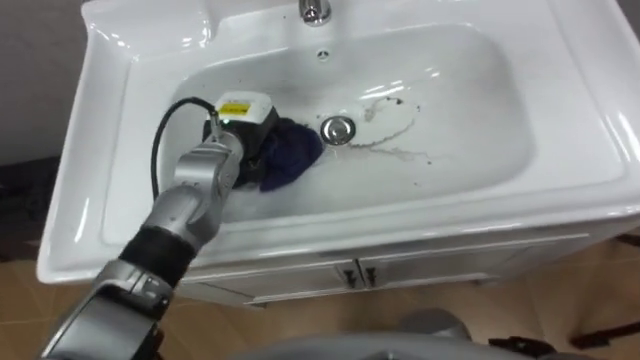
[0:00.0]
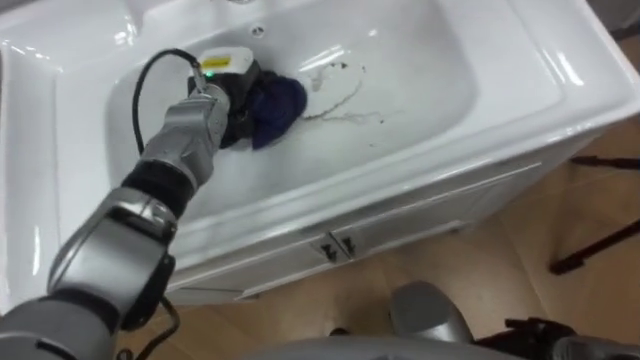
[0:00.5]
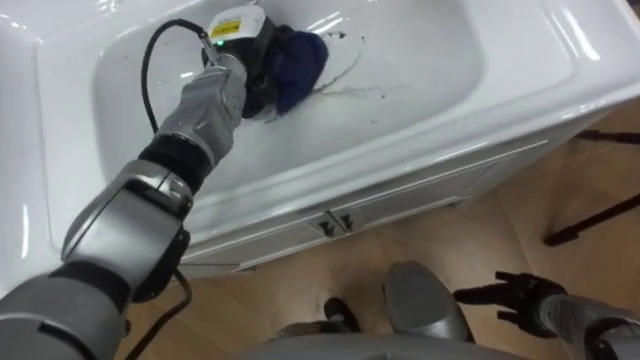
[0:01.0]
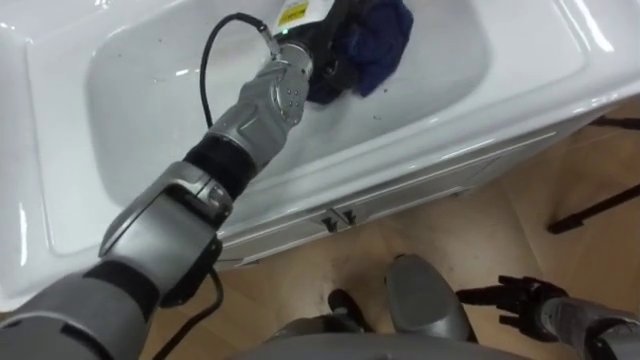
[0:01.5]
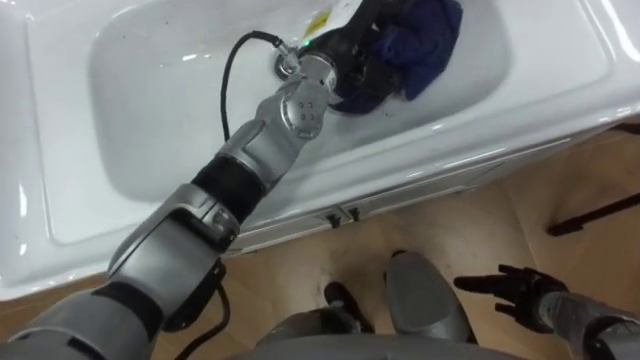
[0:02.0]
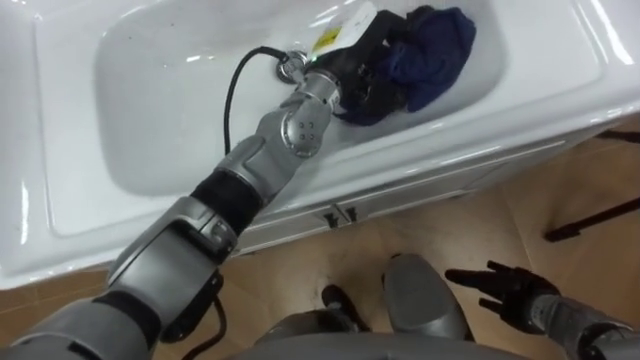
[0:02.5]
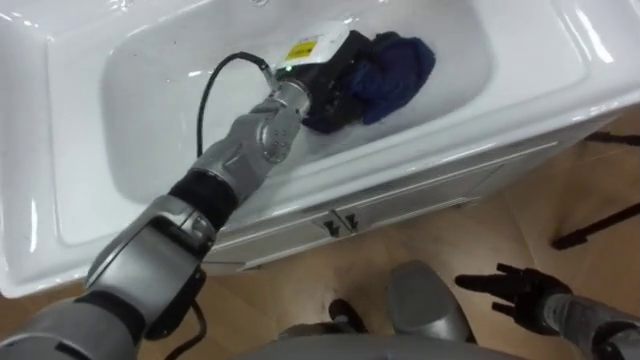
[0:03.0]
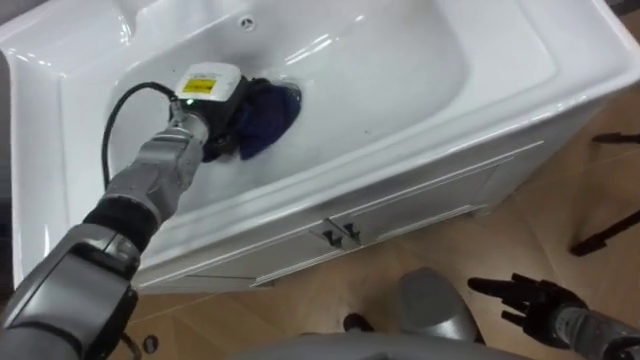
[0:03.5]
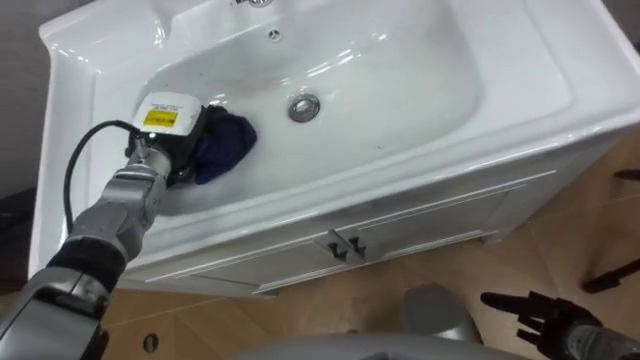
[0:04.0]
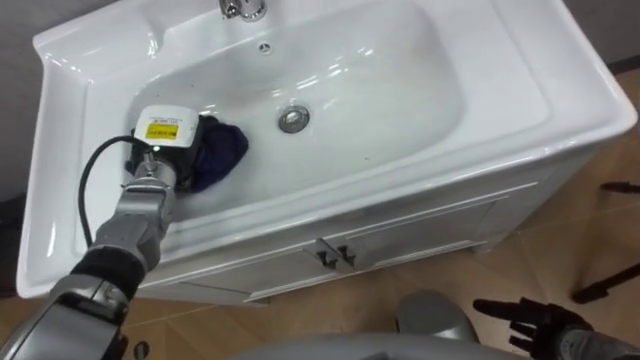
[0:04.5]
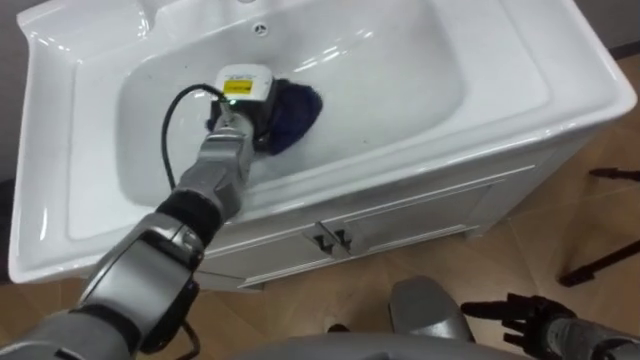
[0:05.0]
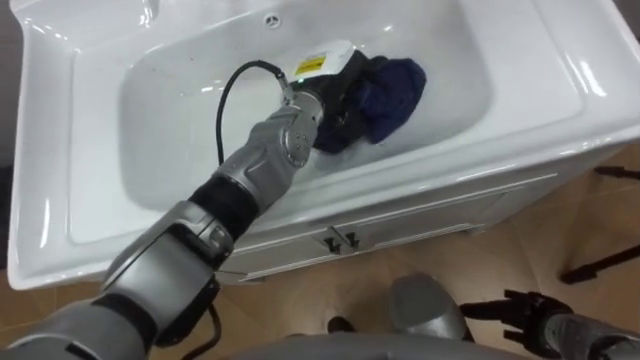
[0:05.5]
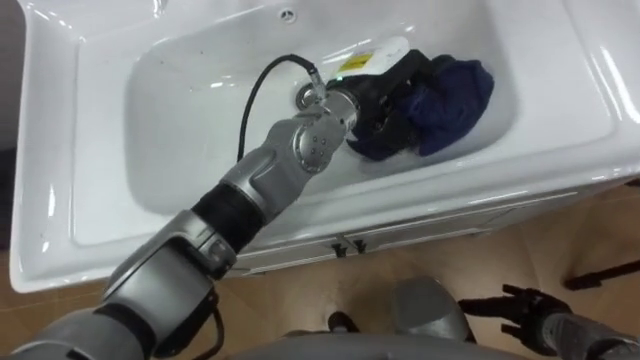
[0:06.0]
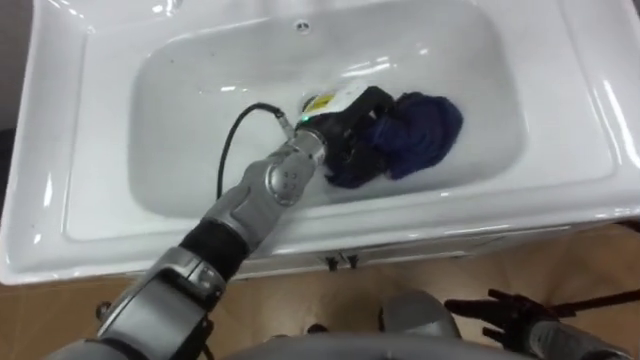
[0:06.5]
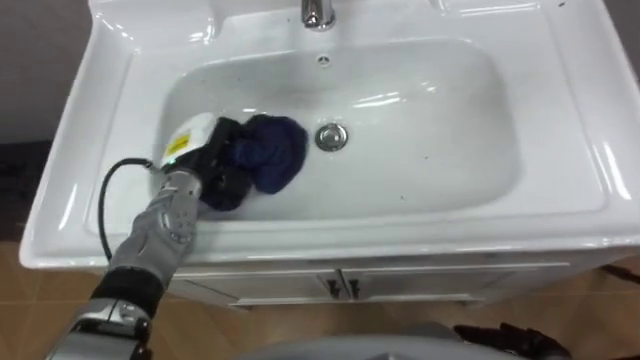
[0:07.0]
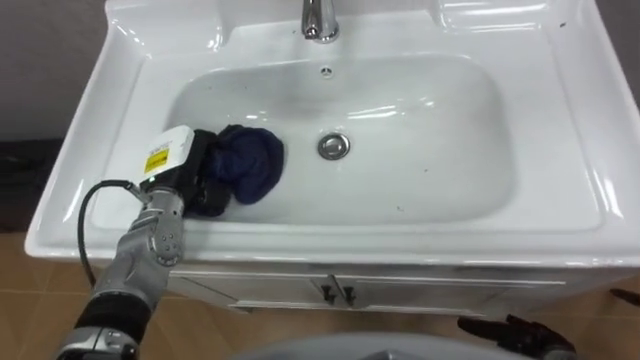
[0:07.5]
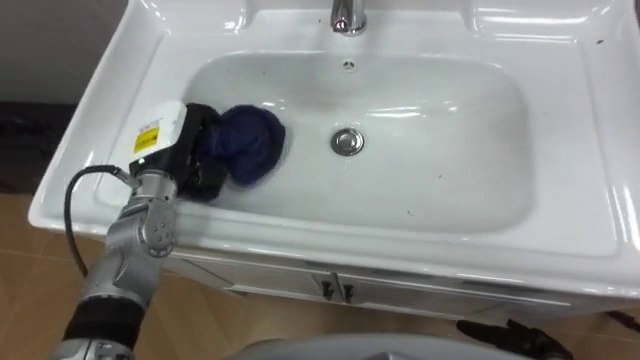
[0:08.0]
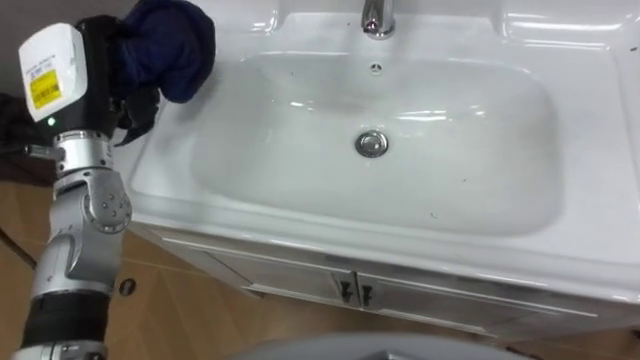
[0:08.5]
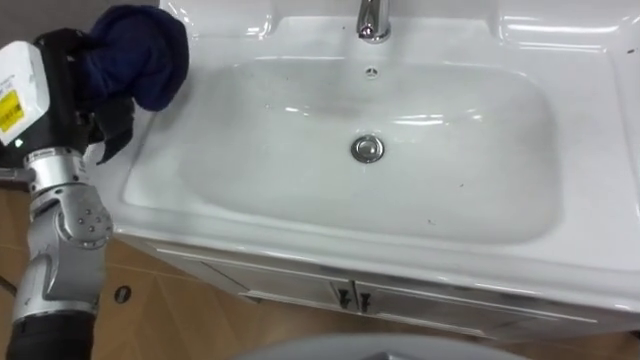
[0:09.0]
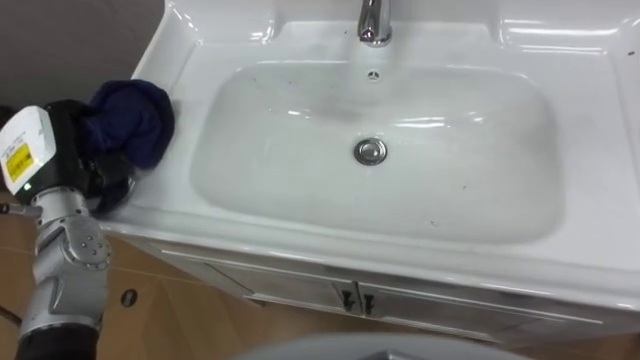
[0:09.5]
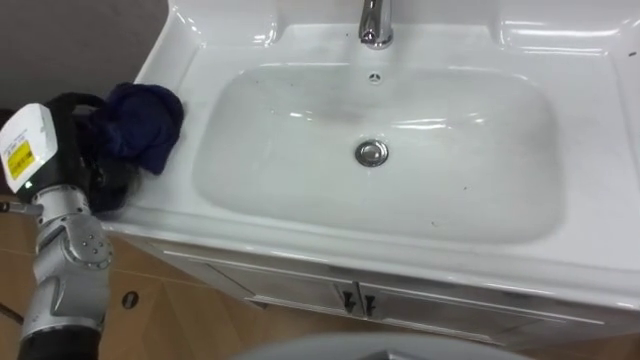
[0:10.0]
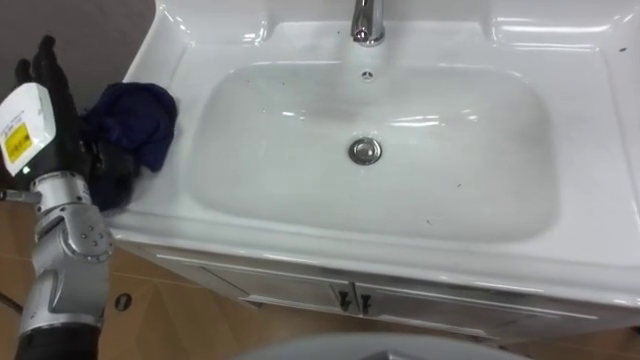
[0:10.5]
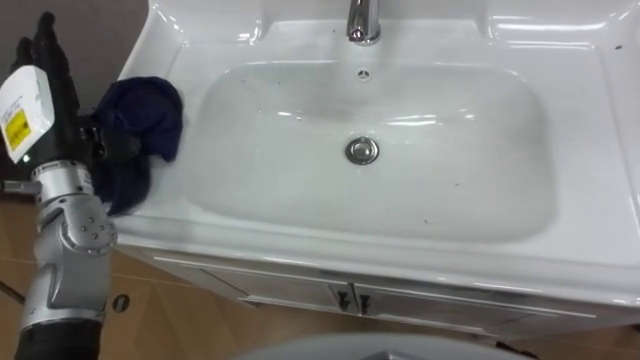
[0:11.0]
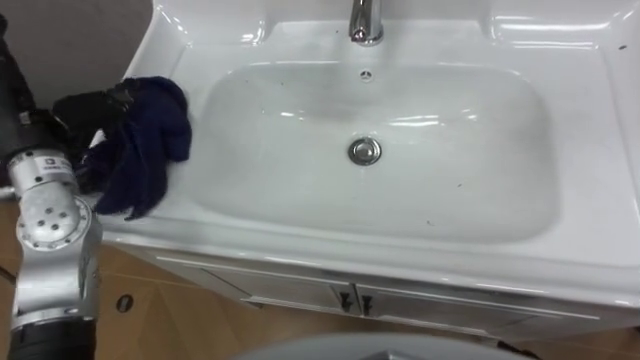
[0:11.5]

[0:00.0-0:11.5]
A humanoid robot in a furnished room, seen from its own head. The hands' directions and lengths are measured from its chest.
Task of the whole recording: Use the cloth on the right to wipe away the black stain in the sink.
0:00.0 to 0:02.0: The left hand shifts about 20 cm to the right and upward.
0:02.0 to 0:04.0: The left hand travels to the left and downward by some 25 cm.
0:04.0 to 0:06.0: The left hand shifts roughly 30 cm to the right.
0:06.0 to 0:07.5: The left hand heads to the left and downward, covering some 30 cm.
0:07.5 to 0:09.5: The left hand travels to the left and upward by some 15 cm.
0:09.5 to 0:11.5: The left hand goes approximately 5 cm upward, and opens.

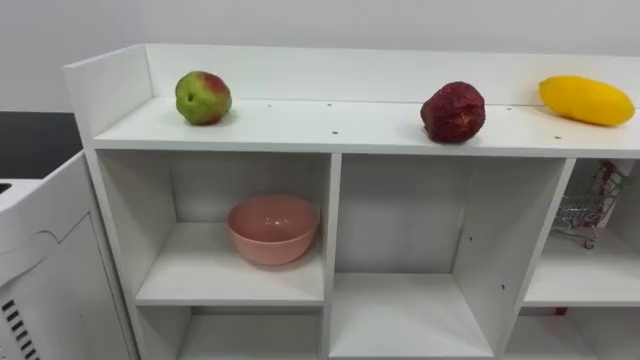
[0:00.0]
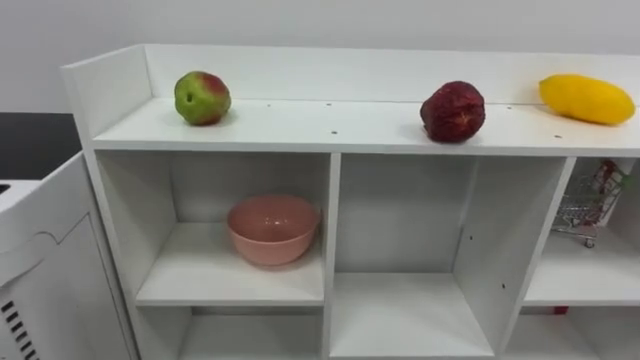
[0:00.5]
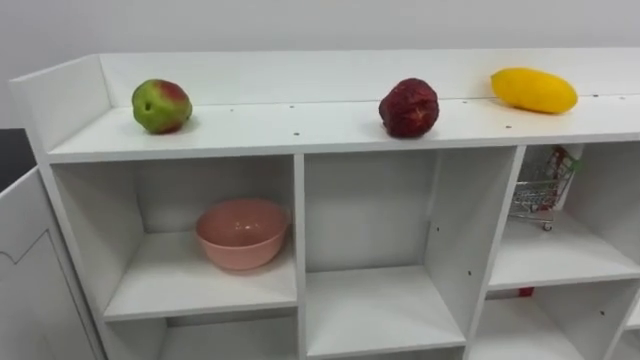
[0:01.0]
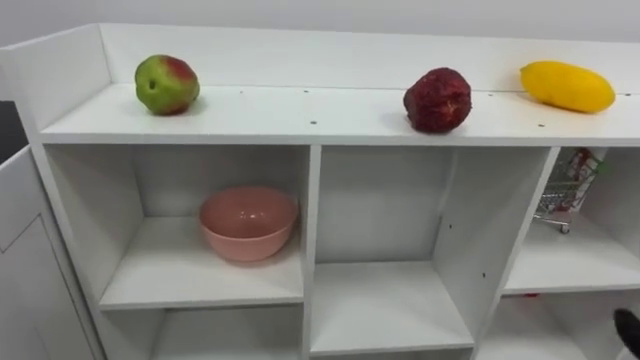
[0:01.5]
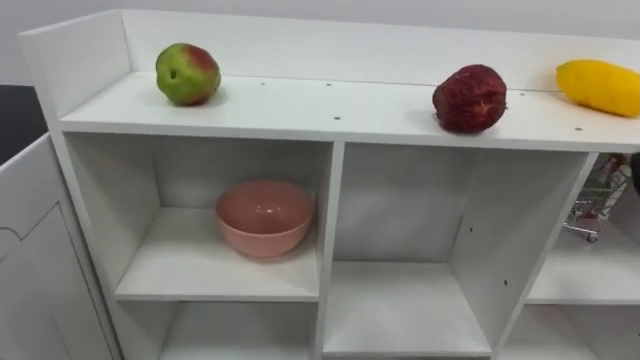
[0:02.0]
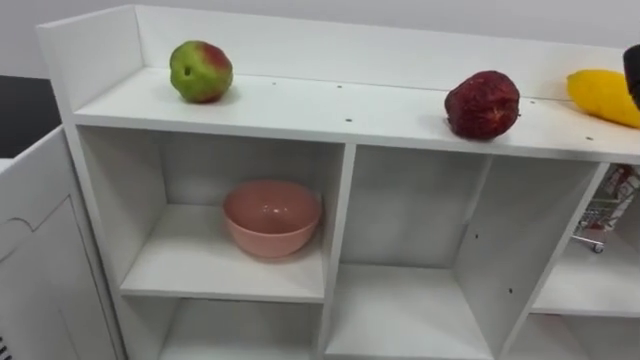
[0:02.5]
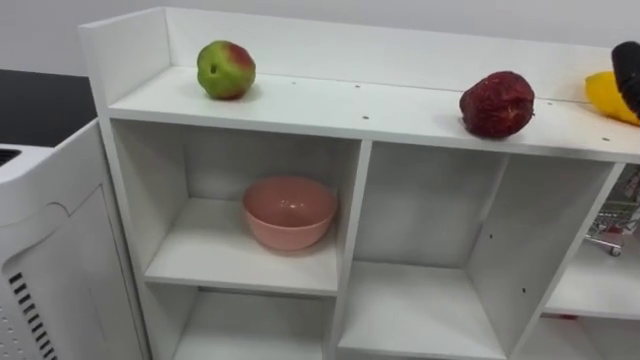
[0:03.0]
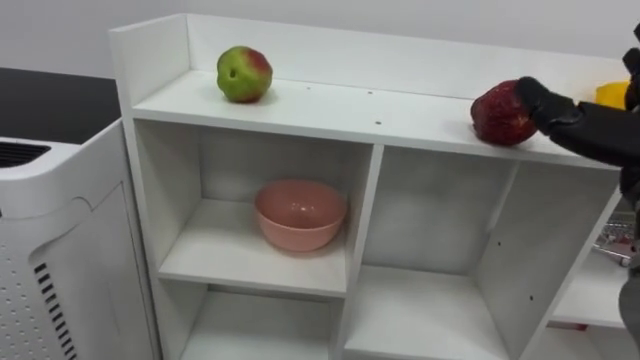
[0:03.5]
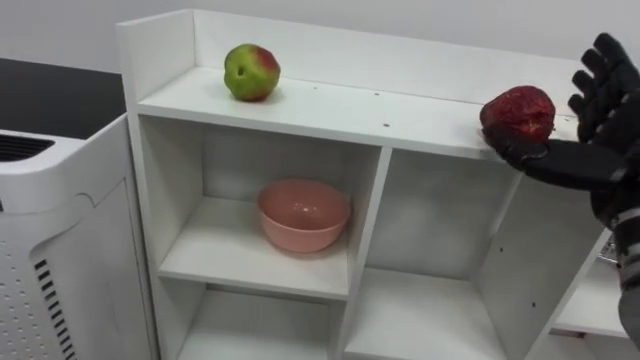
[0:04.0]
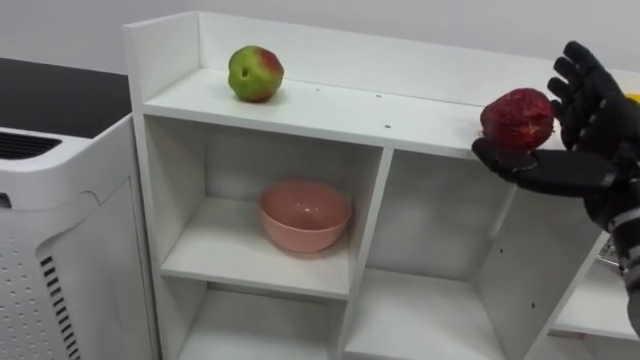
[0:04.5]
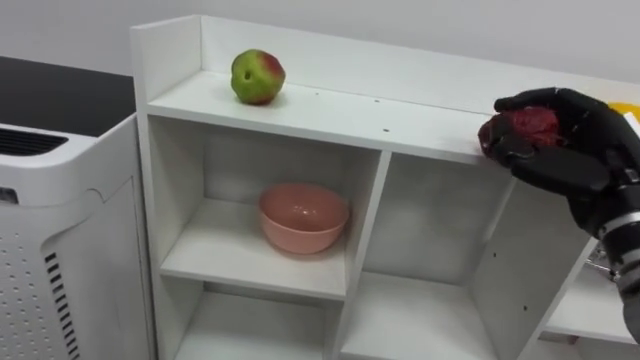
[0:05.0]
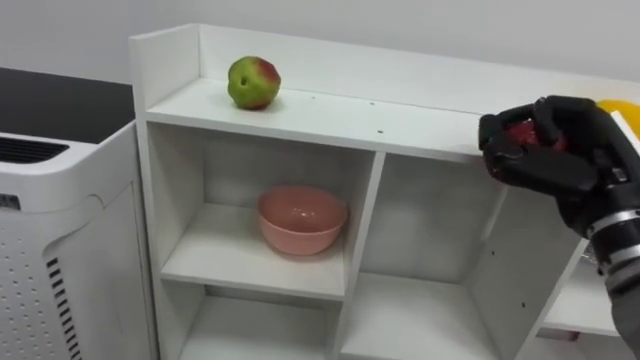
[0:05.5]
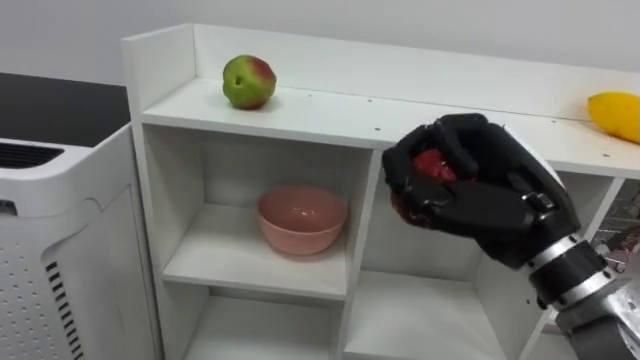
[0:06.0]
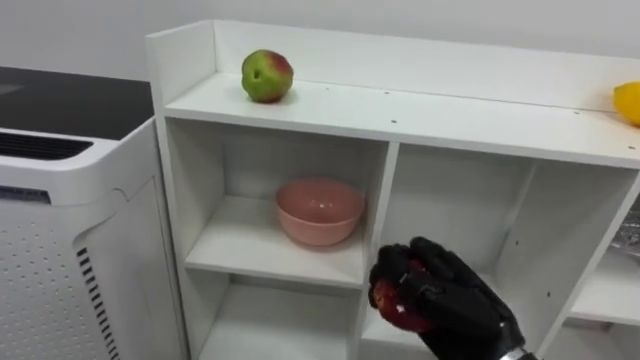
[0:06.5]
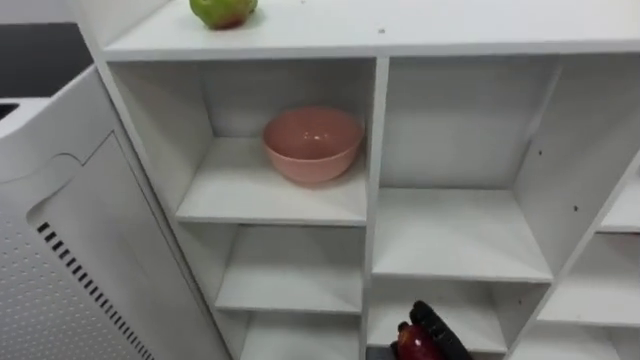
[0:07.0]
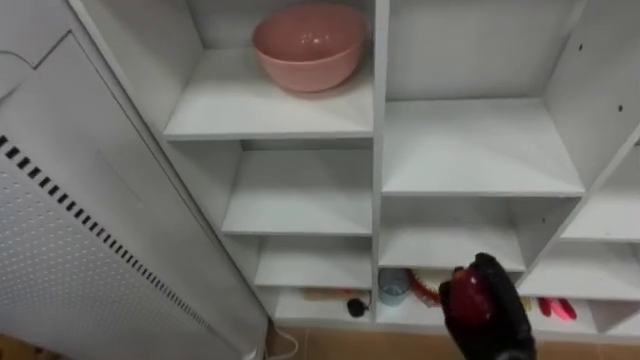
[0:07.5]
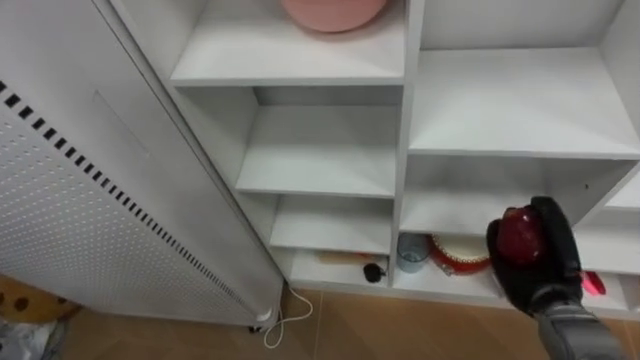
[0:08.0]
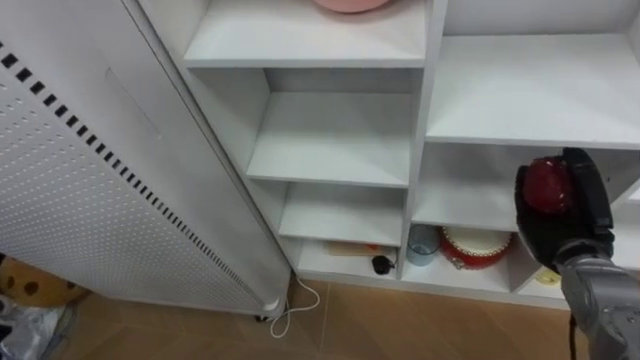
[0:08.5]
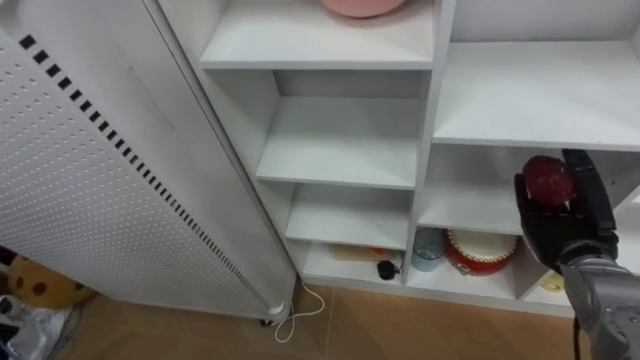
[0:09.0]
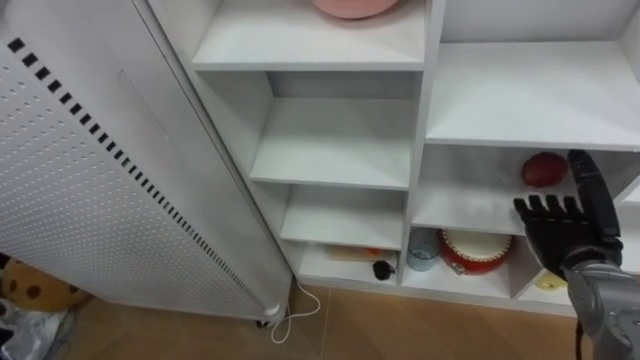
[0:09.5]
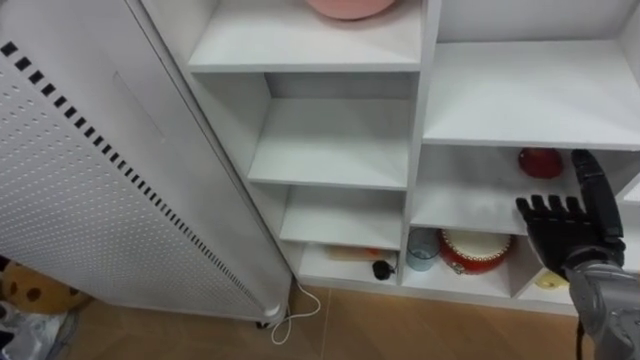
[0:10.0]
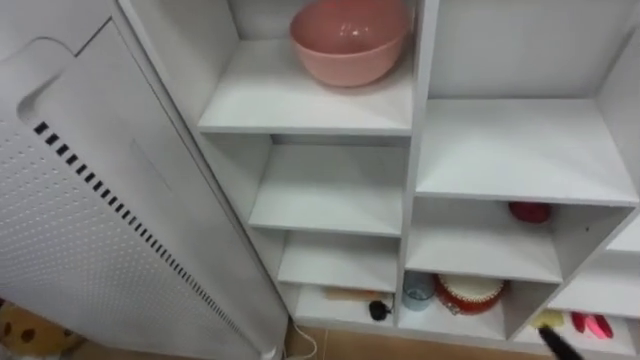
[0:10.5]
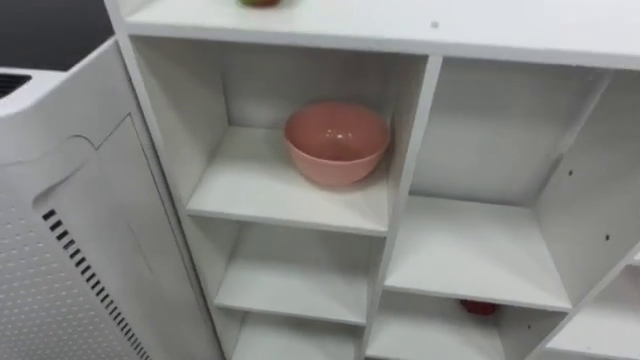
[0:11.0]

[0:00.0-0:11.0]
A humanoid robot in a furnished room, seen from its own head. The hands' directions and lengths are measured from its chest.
Task of the whole recording: Put the apple in the cell in the second column from the left and the second row from the top.
0:07.5 to 0:09.0: The right hand moves upward, to the right and forward, about 15 cm, and opens its fingers.
